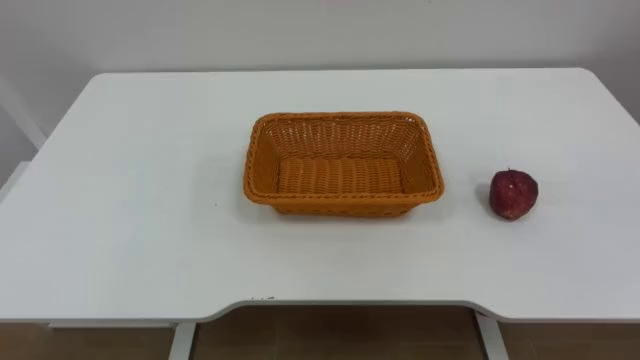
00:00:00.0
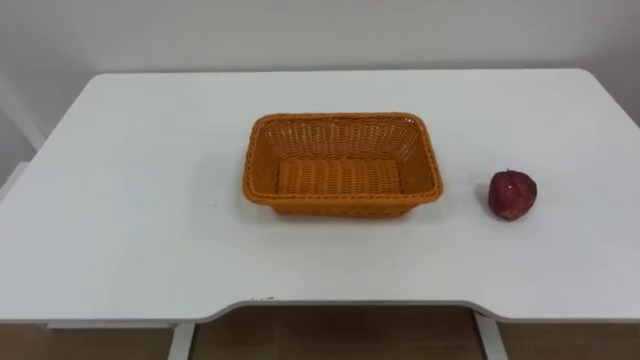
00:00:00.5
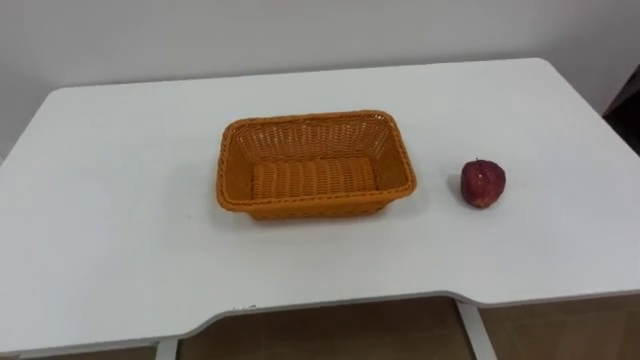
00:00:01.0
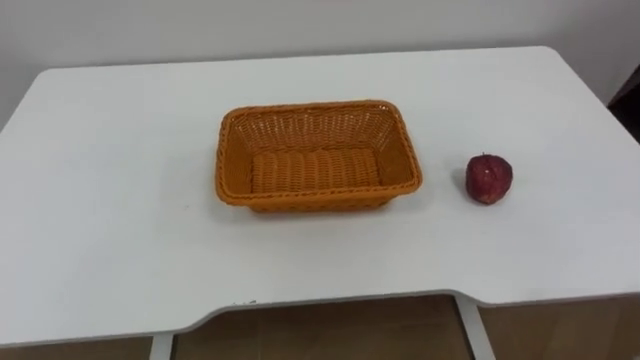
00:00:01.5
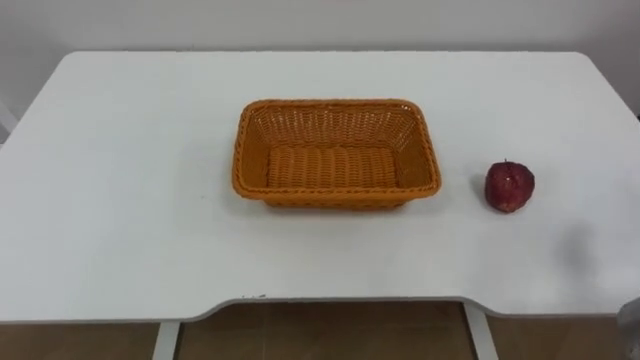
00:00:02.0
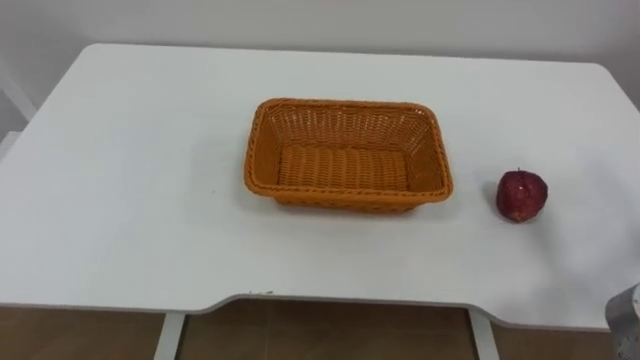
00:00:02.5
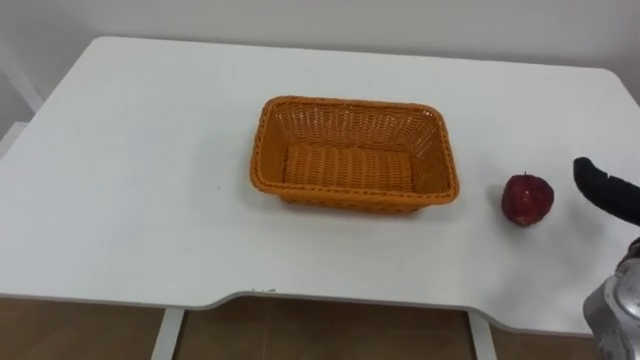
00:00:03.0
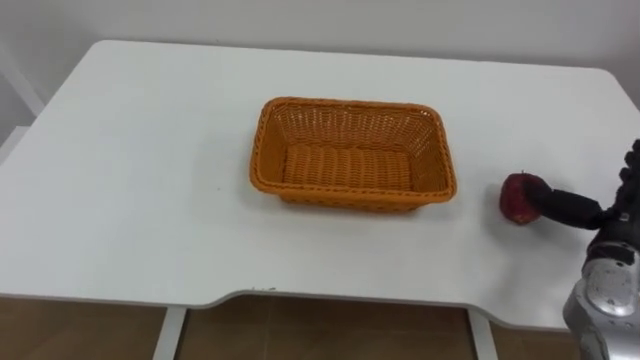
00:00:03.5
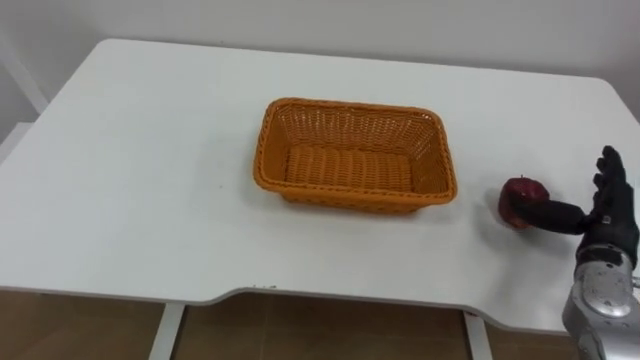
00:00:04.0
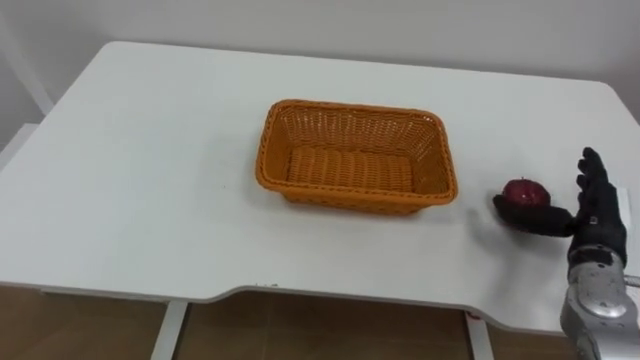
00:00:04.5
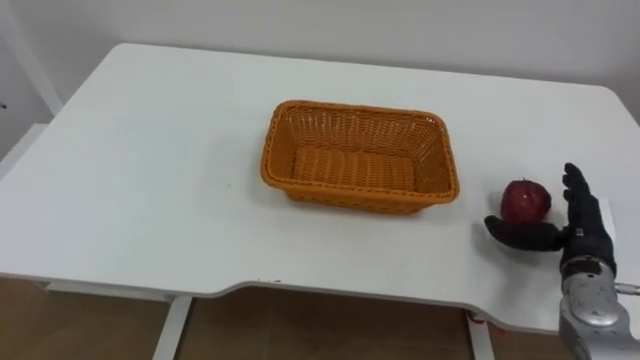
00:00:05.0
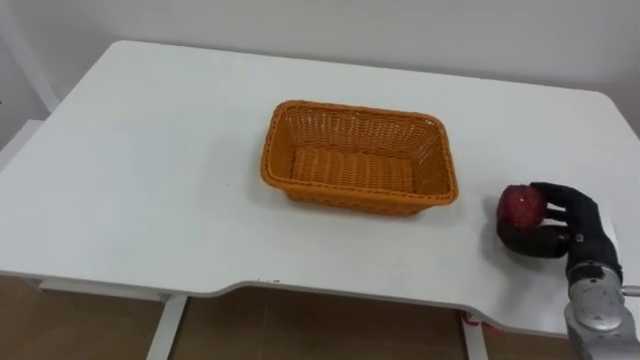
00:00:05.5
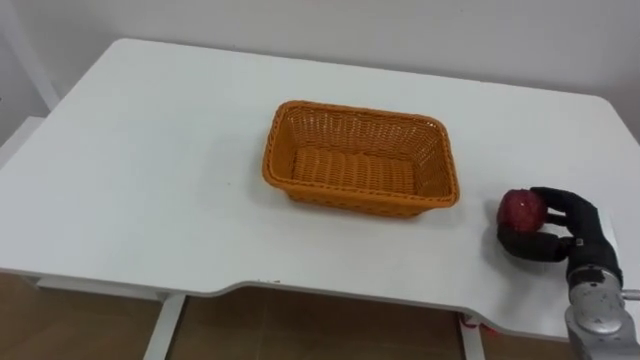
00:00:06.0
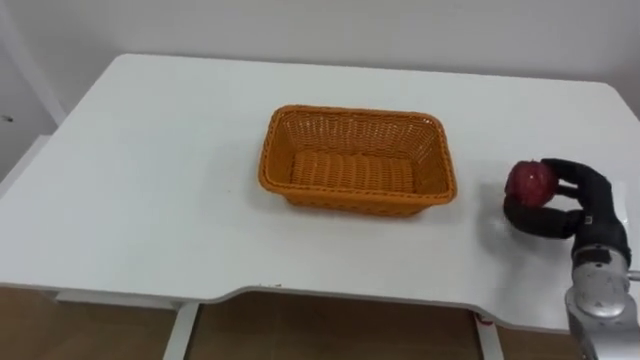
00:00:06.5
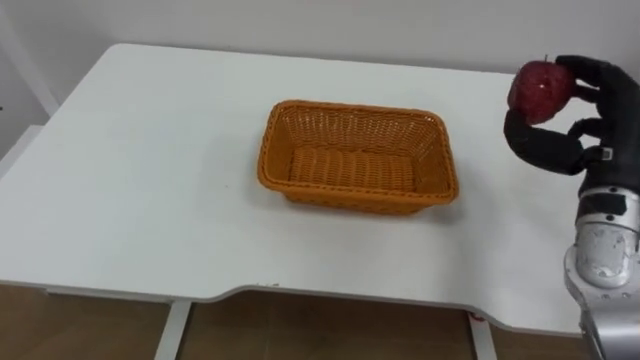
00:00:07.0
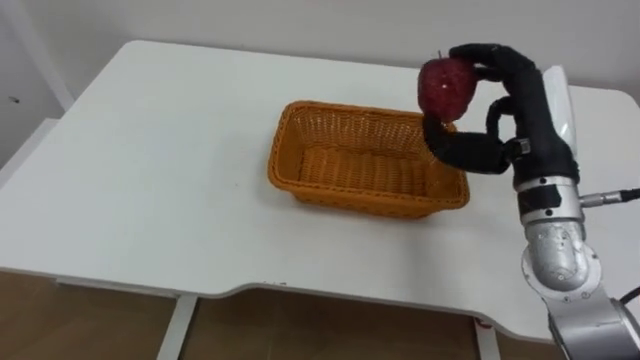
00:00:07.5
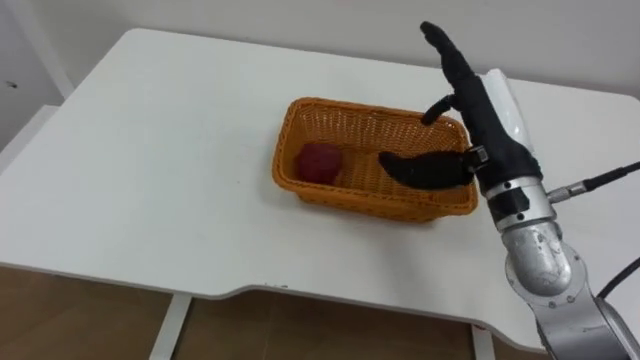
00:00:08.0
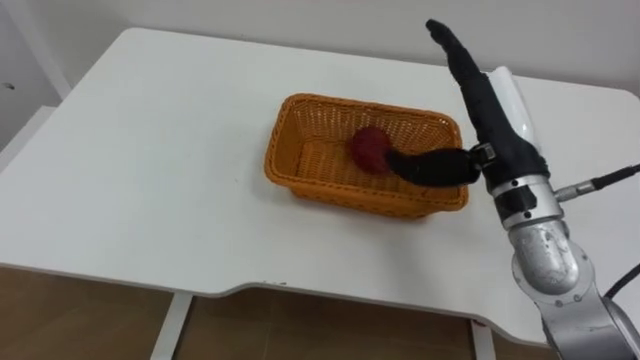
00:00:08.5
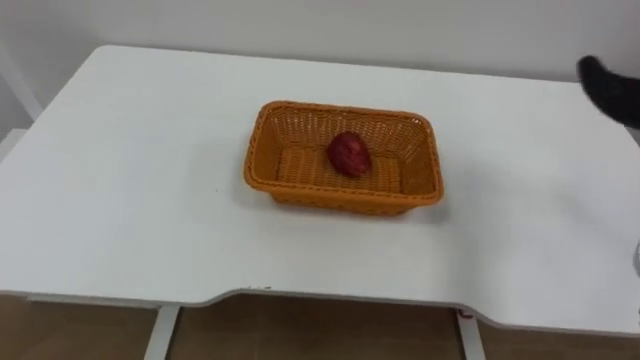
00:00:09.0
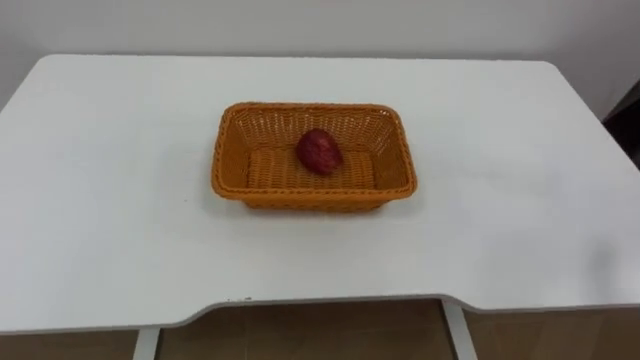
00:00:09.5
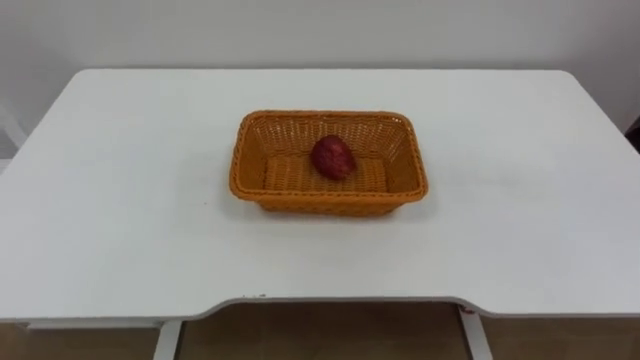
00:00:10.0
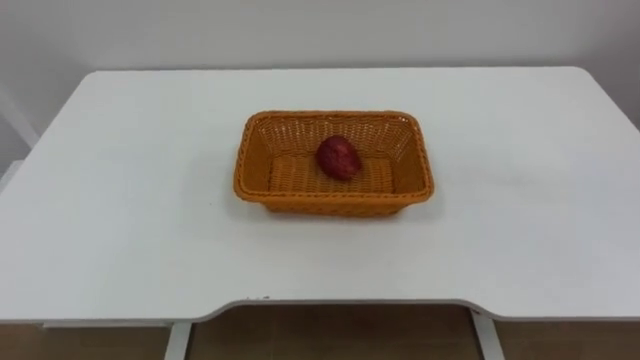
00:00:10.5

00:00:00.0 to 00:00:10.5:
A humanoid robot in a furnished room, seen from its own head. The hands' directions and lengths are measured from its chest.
Task of the whole recording: Pick the apple and place it in the box.
00:00:04.0 to 00:00:06.5: The right hand closes its fingers.
00:00:06.5 to 00:00:08.5: The right hand travels to the left and upward by about 20 cm, and opens.

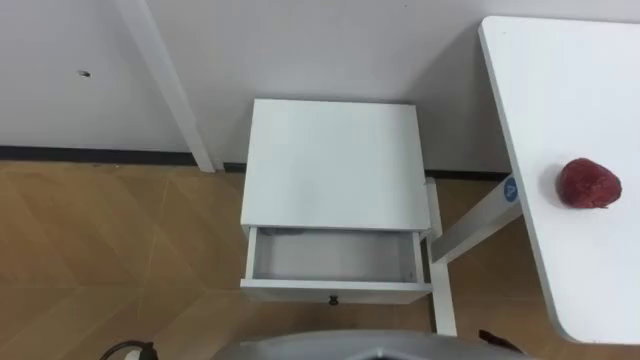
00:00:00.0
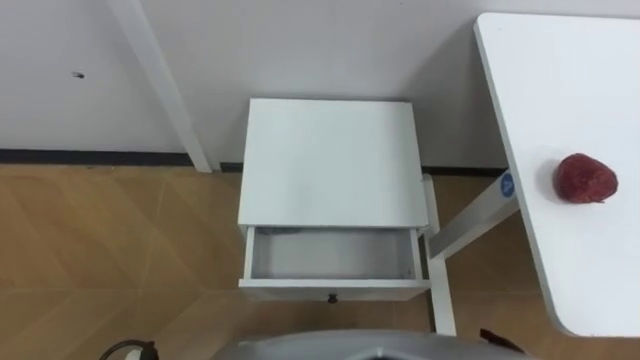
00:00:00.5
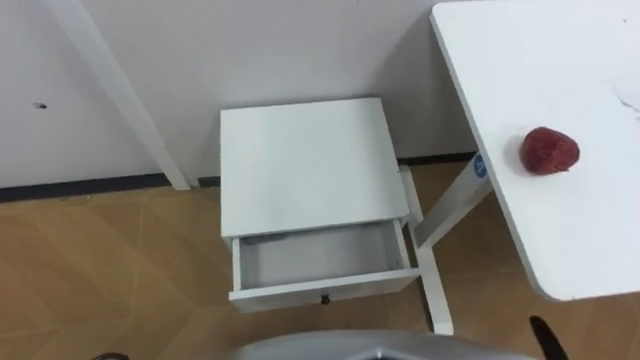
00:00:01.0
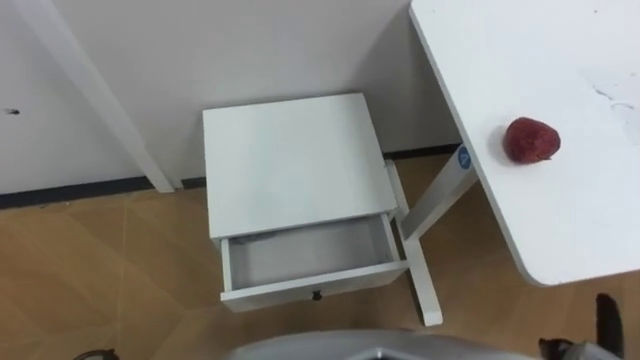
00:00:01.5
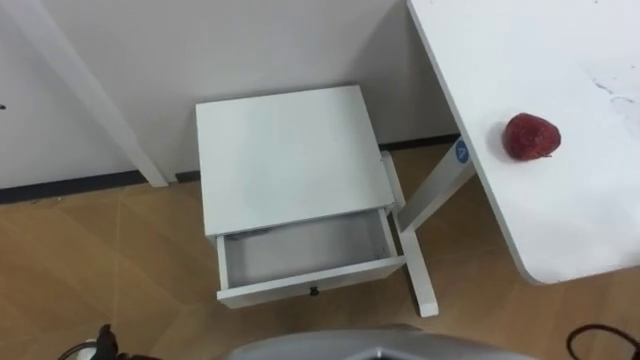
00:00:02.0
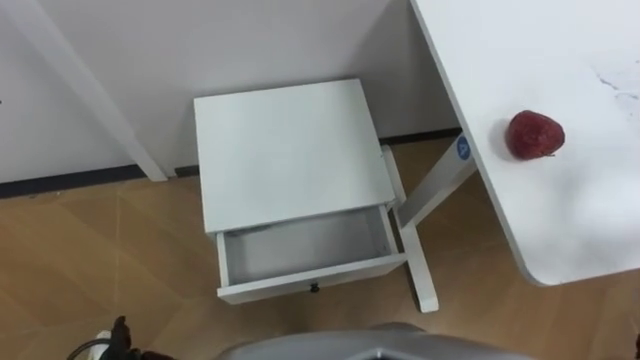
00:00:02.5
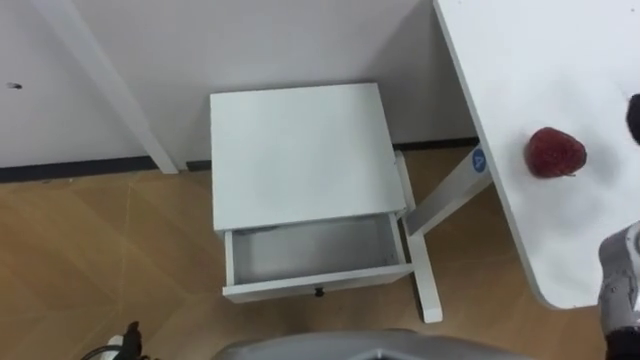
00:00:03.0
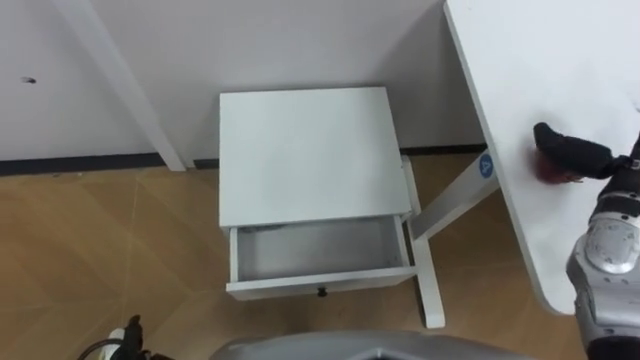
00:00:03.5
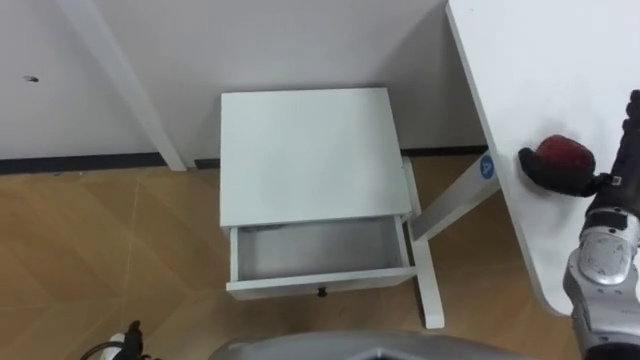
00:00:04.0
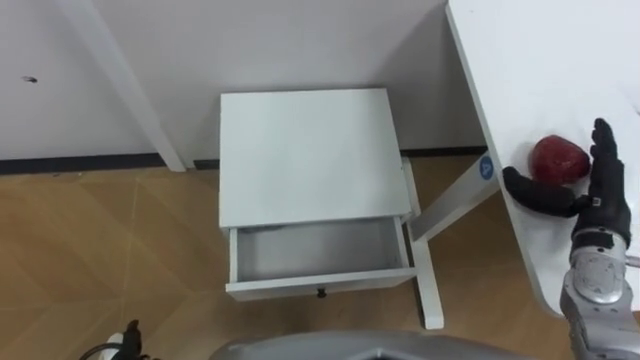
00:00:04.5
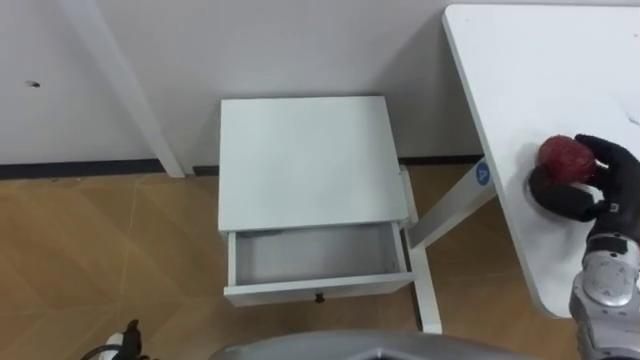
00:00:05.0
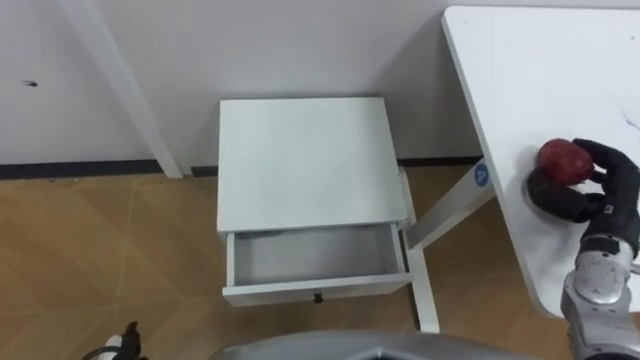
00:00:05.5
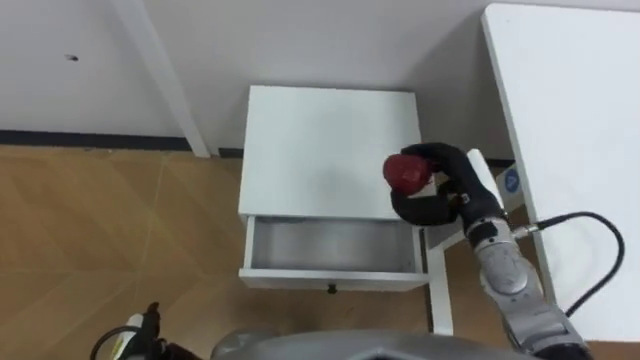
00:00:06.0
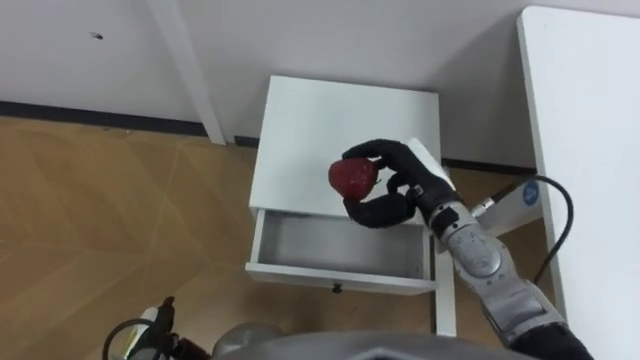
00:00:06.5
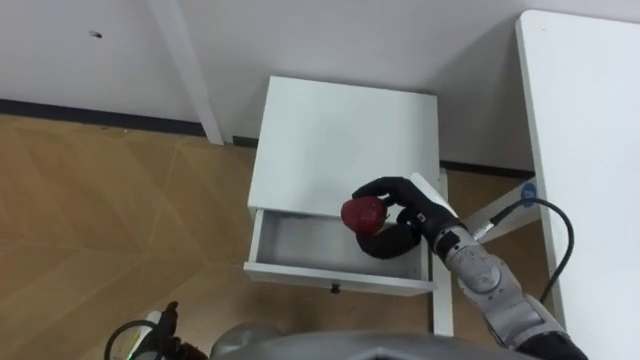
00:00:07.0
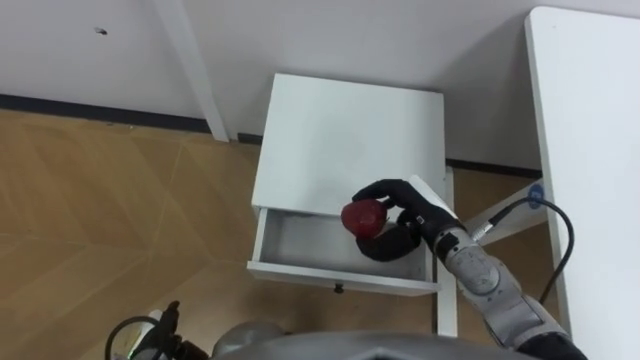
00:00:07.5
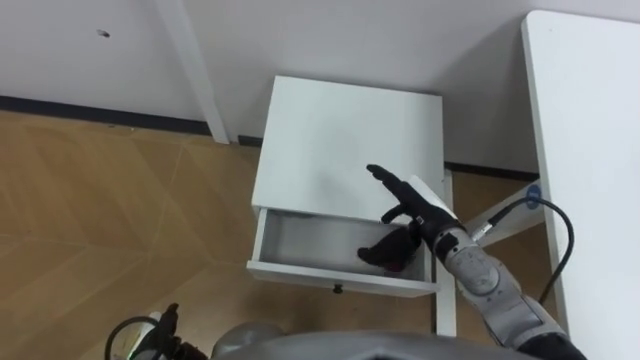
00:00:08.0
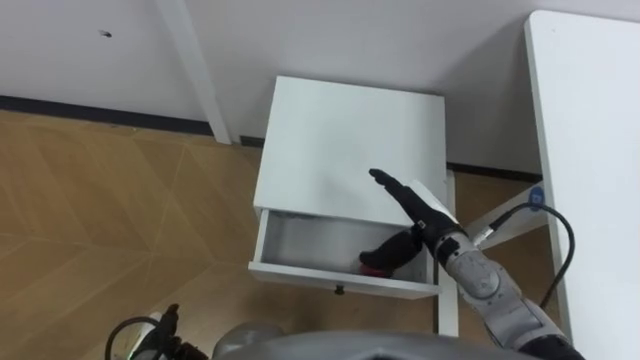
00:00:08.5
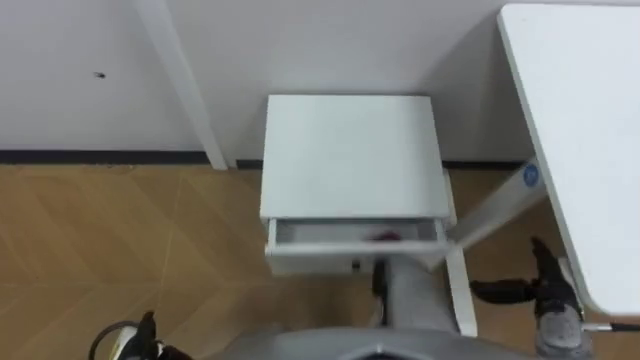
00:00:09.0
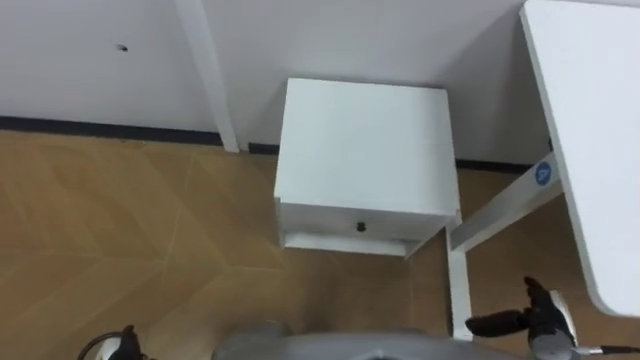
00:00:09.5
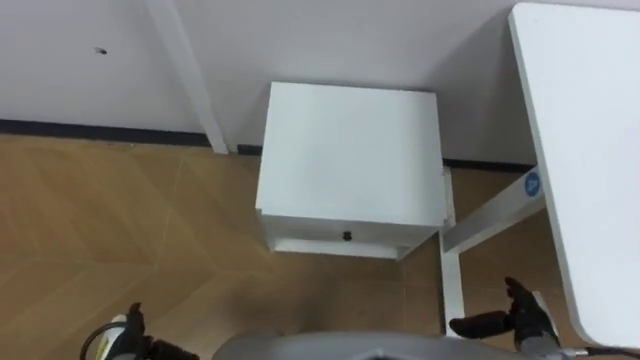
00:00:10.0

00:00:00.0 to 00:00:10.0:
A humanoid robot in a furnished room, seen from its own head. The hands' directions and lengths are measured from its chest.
Task of the whole recording: Pick up the apple from the table, put it in the drawer, and close the drawer with leg.
00:00:04.0 to 00:00:06.0: The right hand heads to the left, covering roughly 15 cm, and closes its fingers.
00:00:06.0 to 00:00:08.0: The right hand is displaced to the left by some 5 cm, and opens.
00:00:08.0 to 00:00:10.0: The right hand shifts approximately 25 cm to the right, backward and downward.
